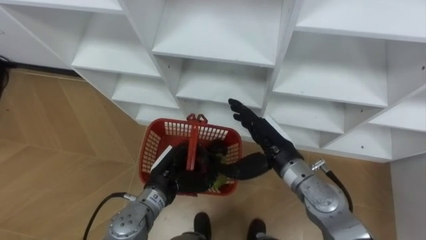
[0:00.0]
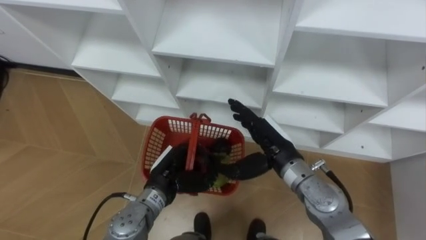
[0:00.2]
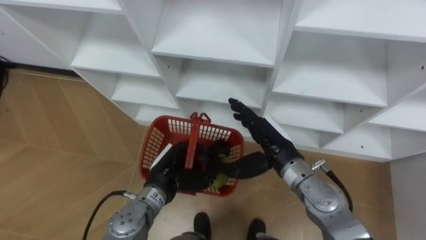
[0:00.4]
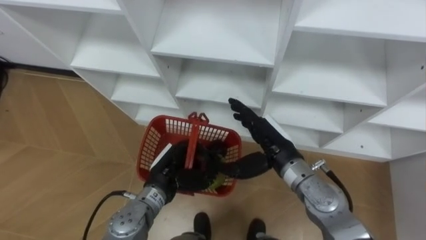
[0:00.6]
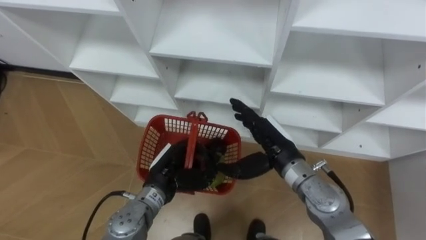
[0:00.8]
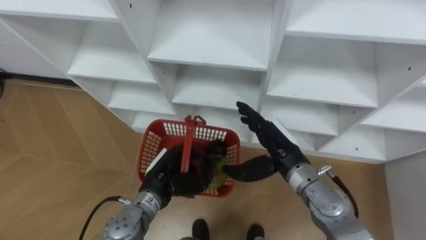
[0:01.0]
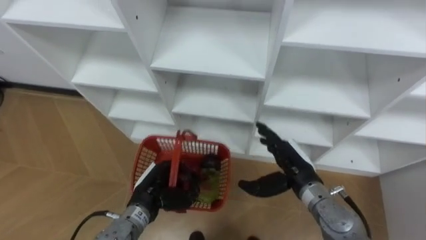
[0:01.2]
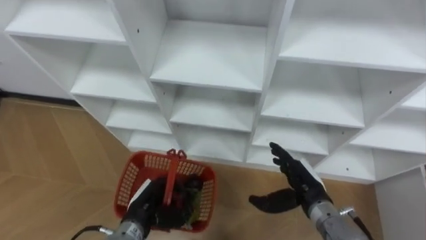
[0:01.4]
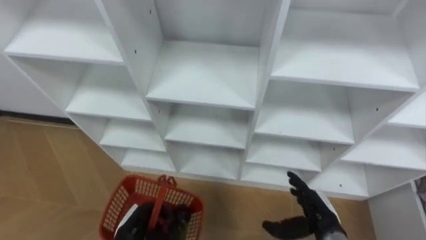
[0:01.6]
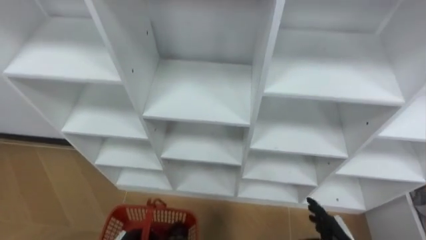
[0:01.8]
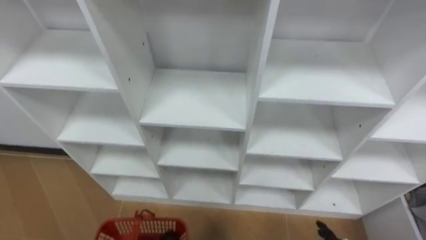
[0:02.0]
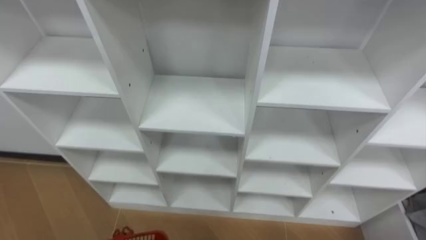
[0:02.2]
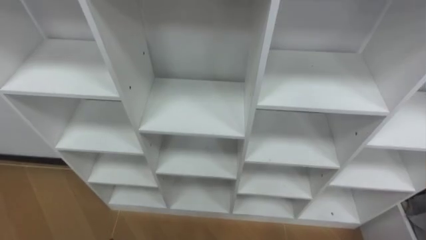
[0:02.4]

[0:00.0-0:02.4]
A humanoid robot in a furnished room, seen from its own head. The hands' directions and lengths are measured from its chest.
Task of the whole recording: Hold the basket and collect the fruits from 3 different cells of the closet into it.
0:00.0 to 0:01.2: The right hand travels downward and to the right by roughly 5 cm.

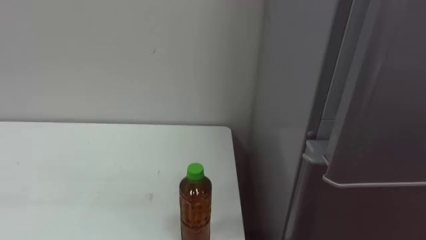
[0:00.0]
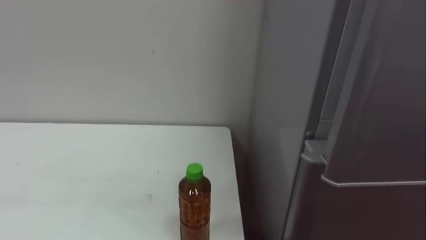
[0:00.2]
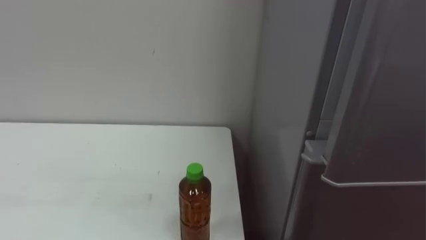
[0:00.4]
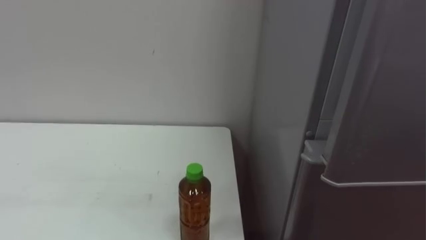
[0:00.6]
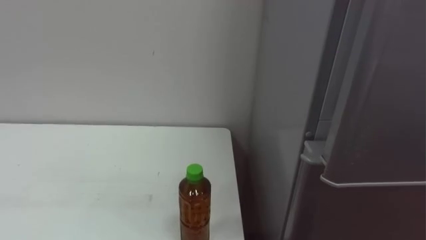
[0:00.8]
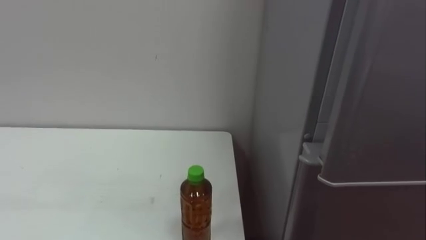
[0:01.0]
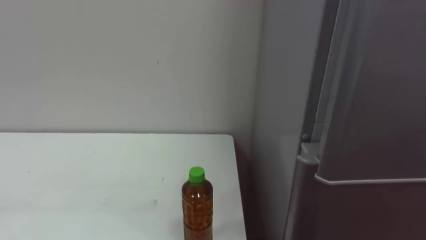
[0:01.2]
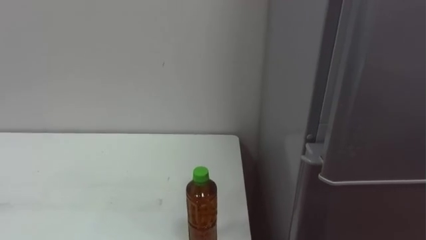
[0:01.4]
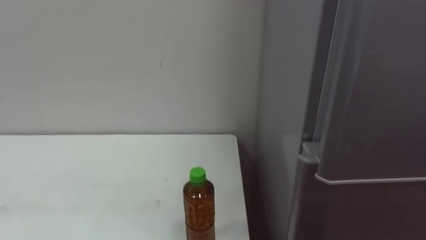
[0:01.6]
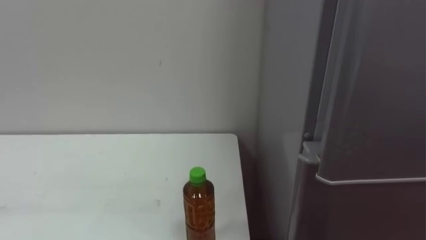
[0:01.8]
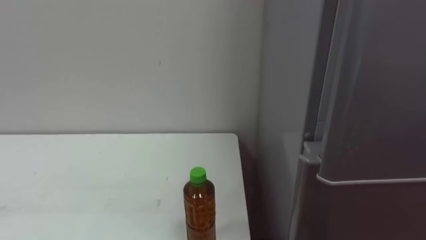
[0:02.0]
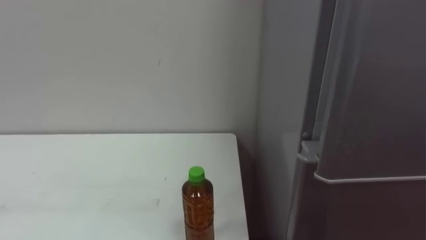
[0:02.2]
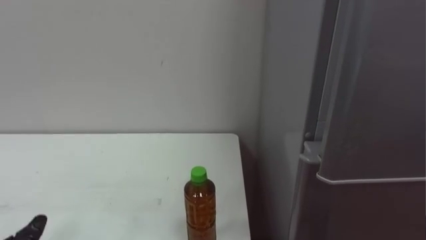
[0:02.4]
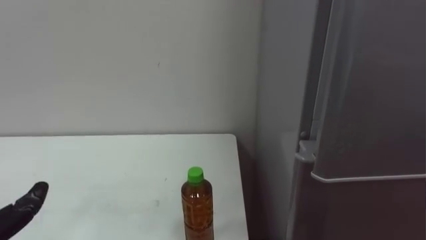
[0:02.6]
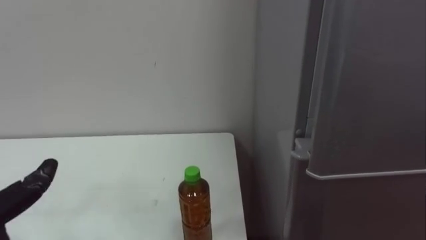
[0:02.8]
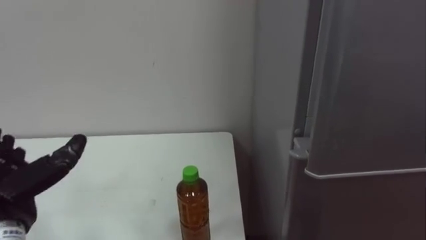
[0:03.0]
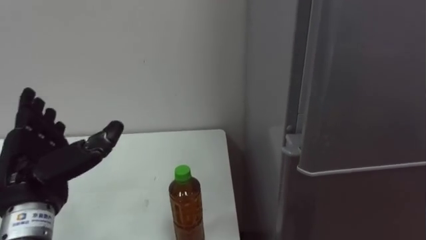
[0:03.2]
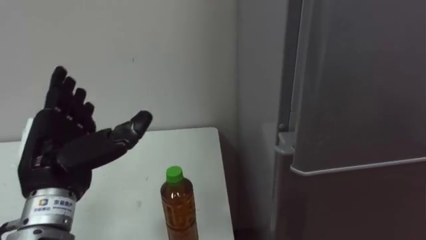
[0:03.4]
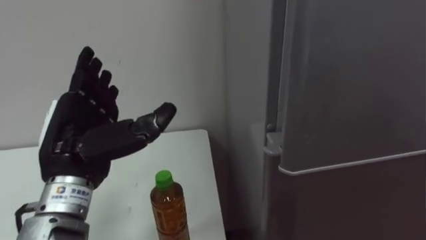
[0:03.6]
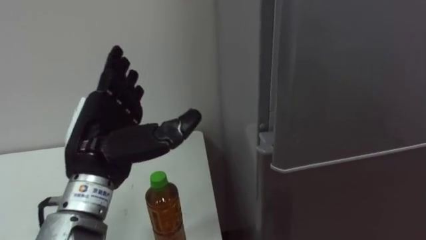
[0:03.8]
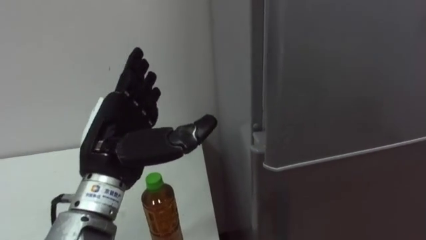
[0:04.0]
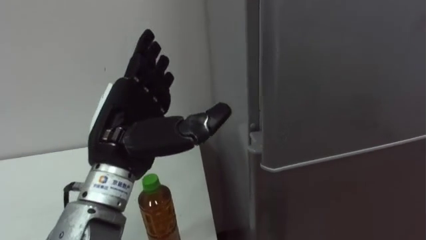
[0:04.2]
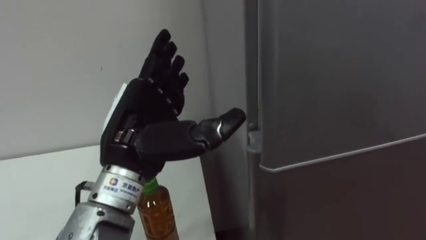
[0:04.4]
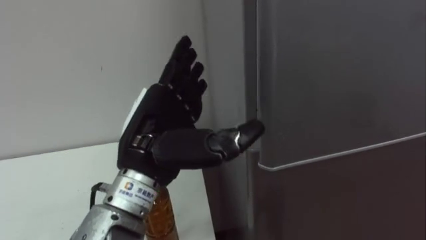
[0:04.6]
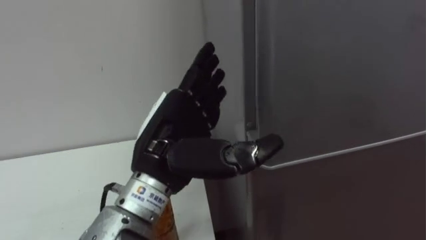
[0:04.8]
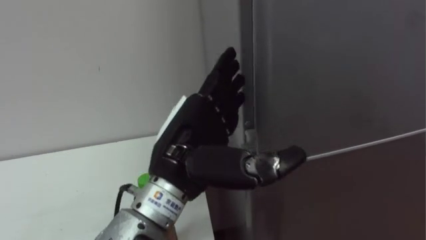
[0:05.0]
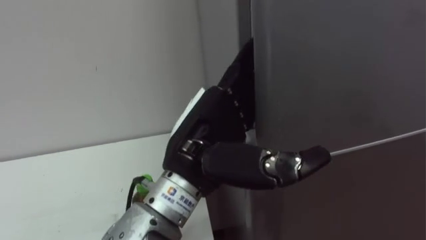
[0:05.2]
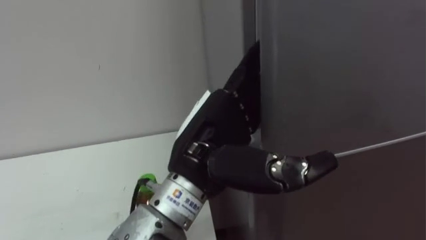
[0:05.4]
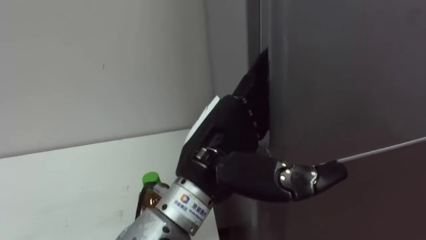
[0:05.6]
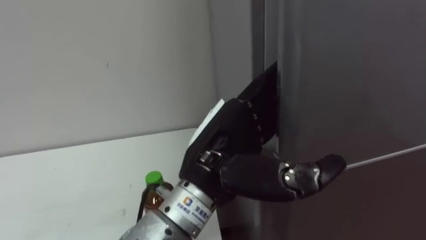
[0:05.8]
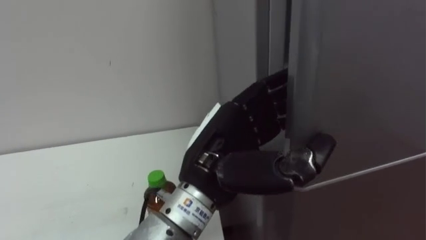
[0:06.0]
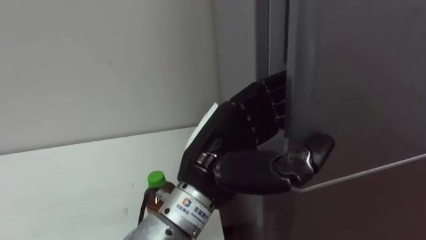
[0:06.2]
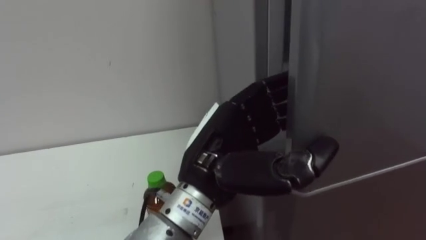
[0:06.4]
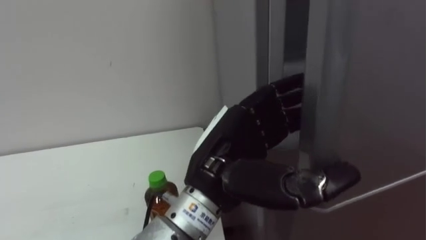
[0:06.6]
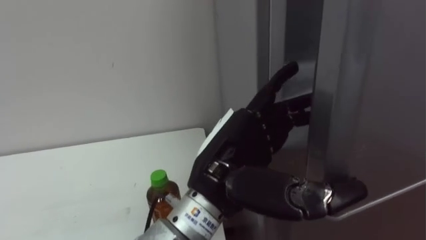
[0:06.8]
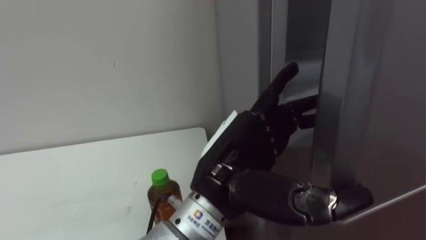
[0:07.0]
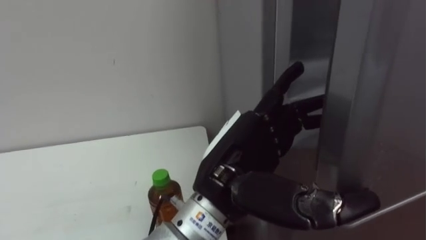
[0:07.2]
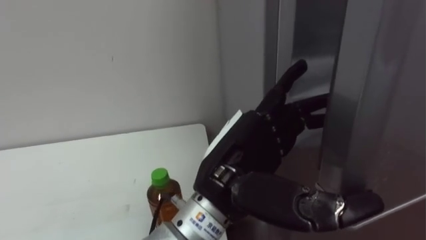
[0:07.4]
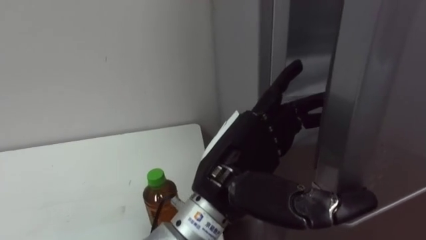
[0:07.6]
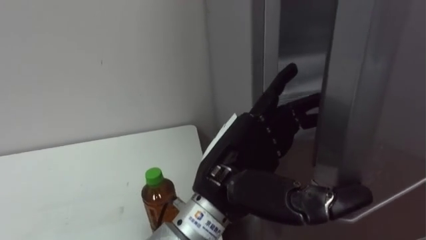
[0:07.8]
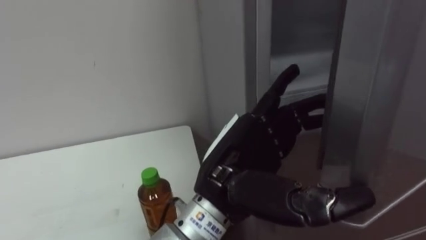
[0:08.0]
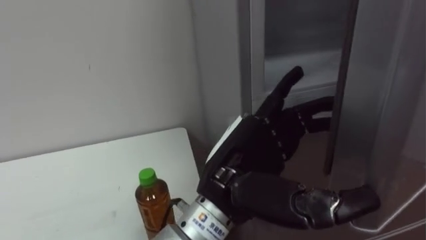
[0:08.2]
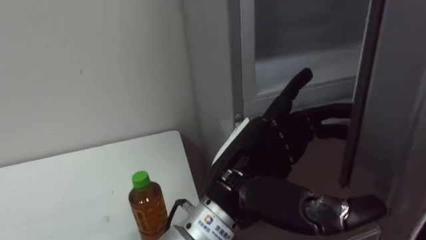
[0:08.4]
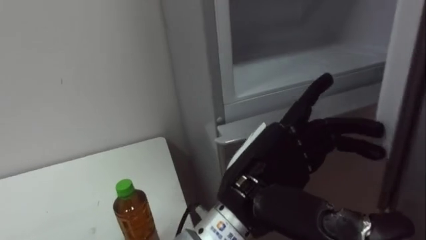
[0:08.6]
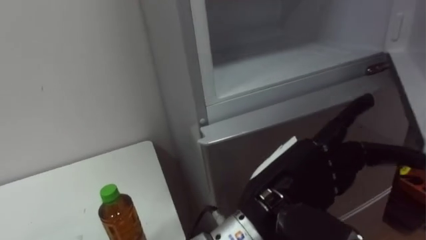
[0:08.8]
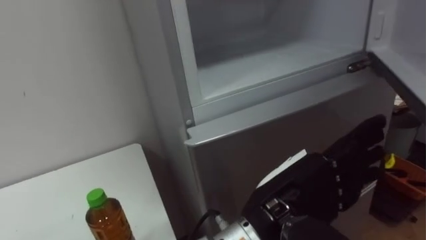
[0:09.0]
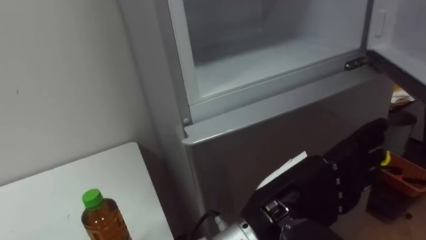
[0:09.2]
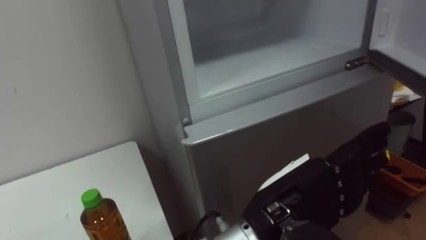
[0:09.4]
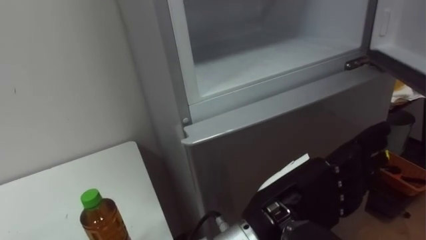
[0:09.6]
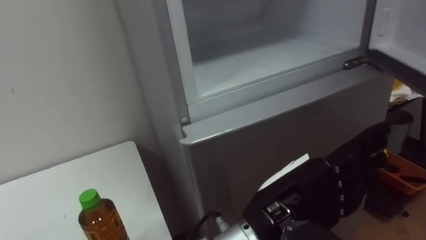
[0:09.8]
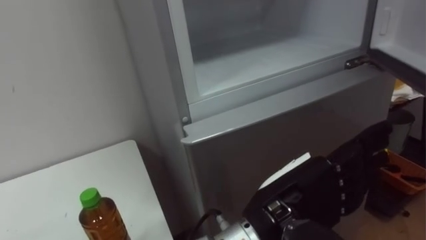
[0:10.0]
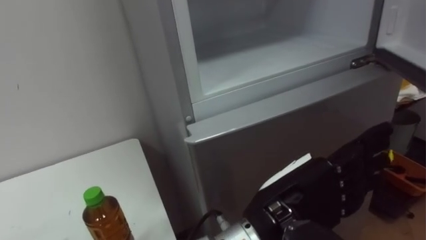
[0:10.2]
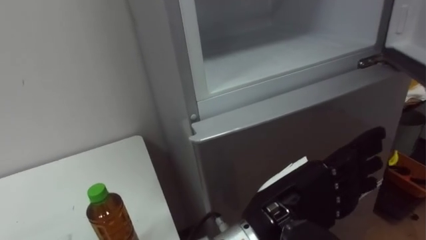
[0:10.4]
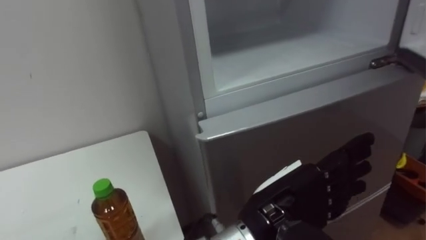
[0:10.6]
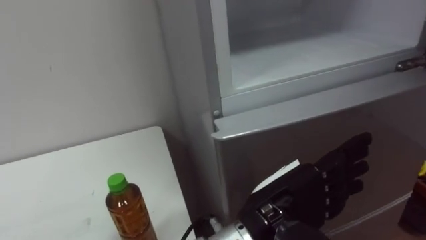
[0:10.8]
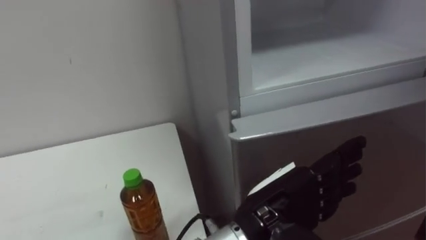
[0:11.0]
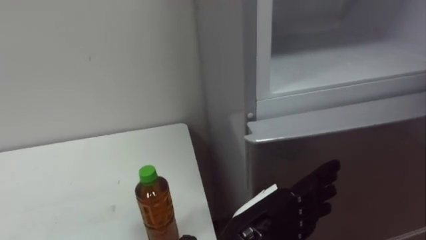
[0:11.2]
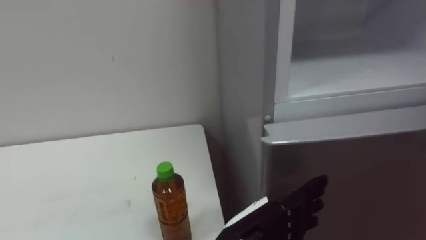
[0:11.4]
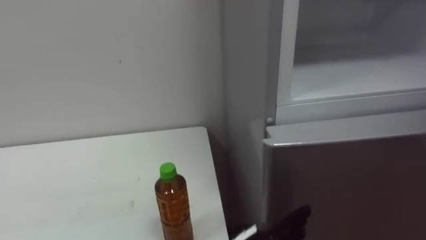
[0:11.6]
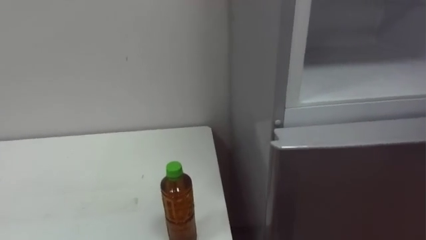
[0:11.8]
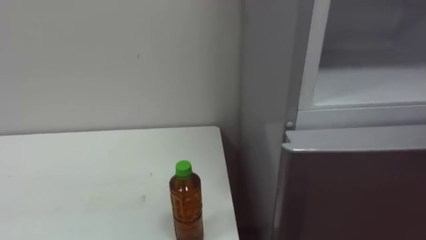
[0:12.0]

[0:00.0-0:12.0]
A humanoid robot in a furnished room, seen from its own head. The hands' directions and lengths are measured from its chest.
Task of the whole recording: Open the upper refrigerator door, put the drink from the table into the refrigerator, and then close the refrigerator door.
0:03.0 to 0:04.4: The left hand shifts roughly 20 cm to the right and upward.
0:04.4 to 0:06.0: The left hand goes some 10 cm to the right, and closes.
0:06.0 to 0:07.6: The left hand opens its fingers.
0:07.6 to 0:09.0: The left hand shifts roughly 5 cm to the right.

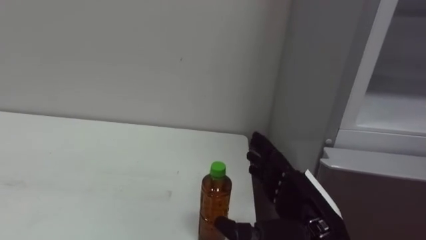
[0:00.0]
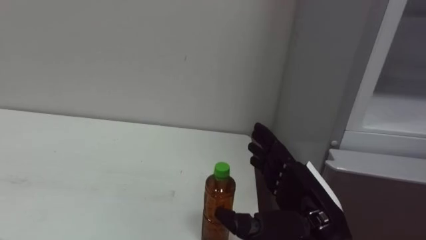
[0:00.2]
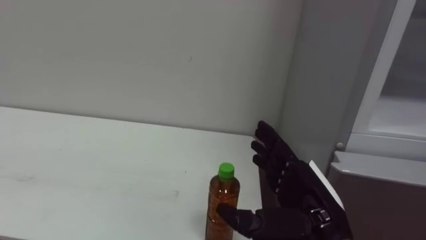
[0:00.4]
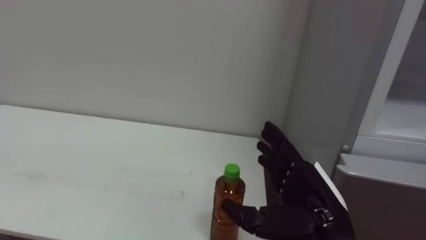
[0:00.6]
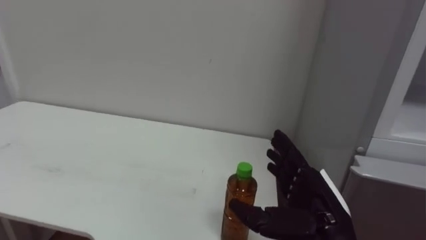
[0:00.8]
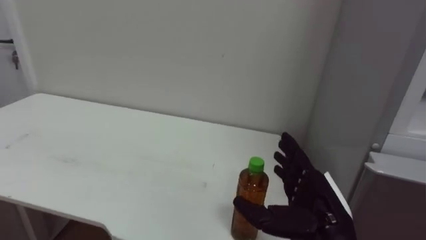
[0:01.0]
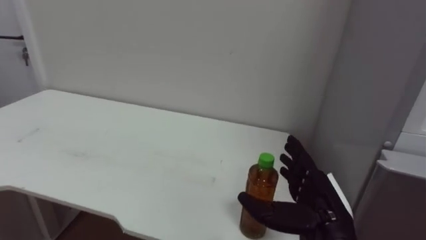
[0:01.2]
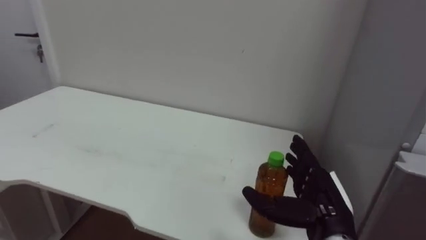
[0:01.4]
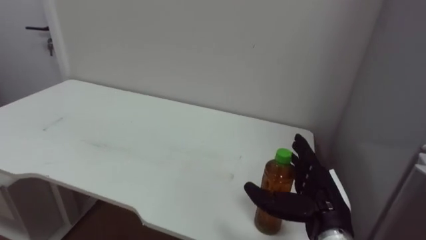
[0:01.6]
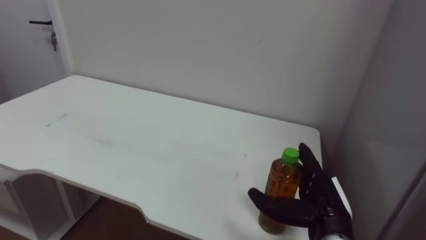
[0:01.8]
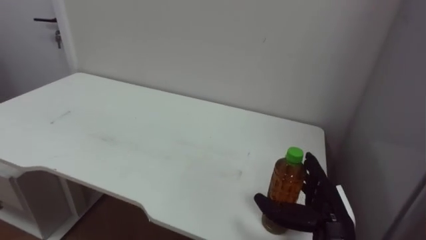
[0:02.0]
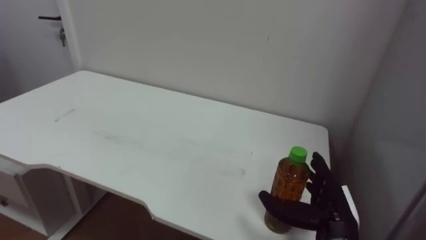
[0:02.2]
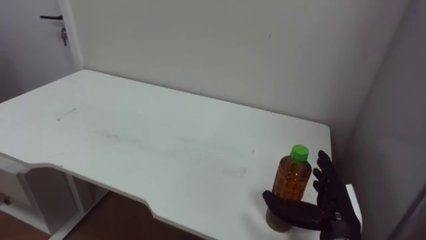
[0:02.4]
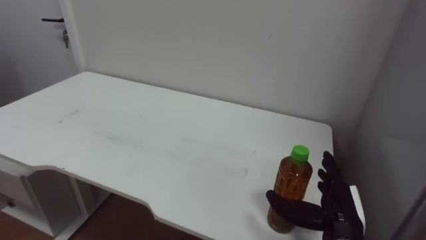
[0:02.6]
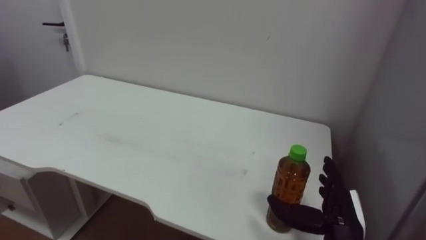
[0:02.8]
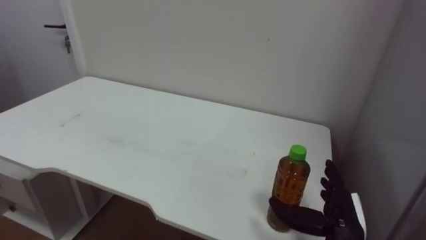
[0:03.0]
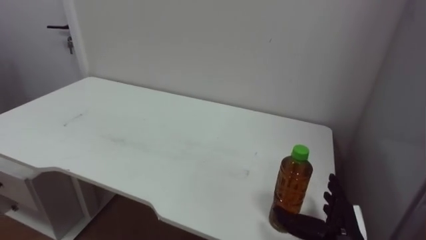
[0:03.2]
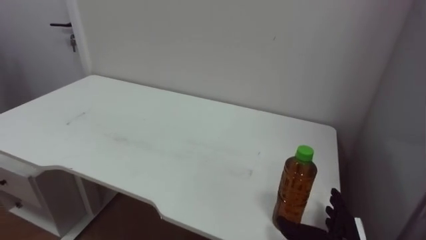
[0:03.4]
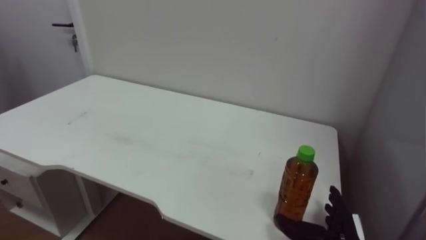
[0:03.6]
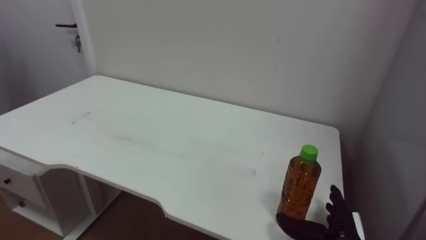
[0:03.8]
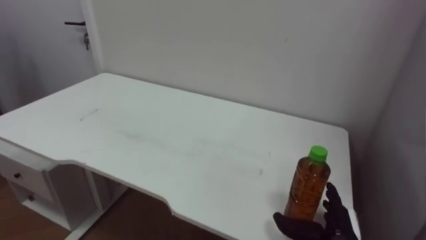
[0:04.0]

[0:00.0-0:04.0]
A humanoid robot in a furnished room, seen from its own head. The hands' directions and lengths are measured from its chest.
Task of the whole recording: Open the upper refrigerator door, put the drink from the table into the refrigerator, and then close the refrigerator door.
0:00.0 to 0:01.4: The right hand shifts by roughly 5 cm.
0:02.6 to 0:04.0: The right hand heads downward, covering some 5 cm.
